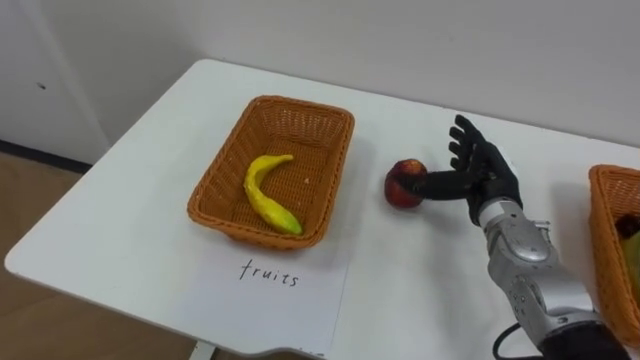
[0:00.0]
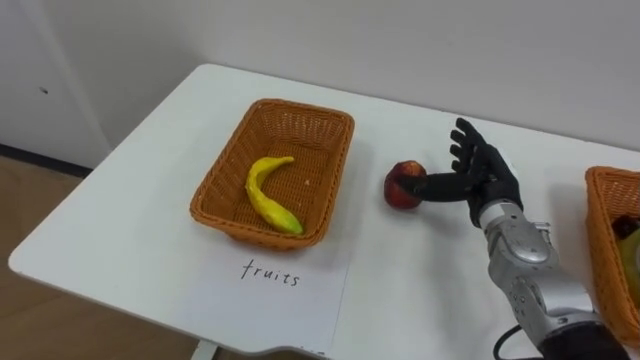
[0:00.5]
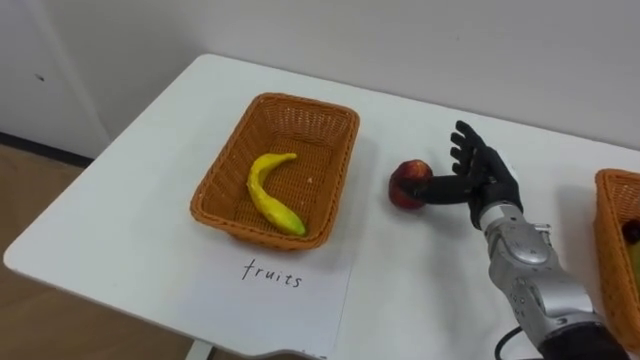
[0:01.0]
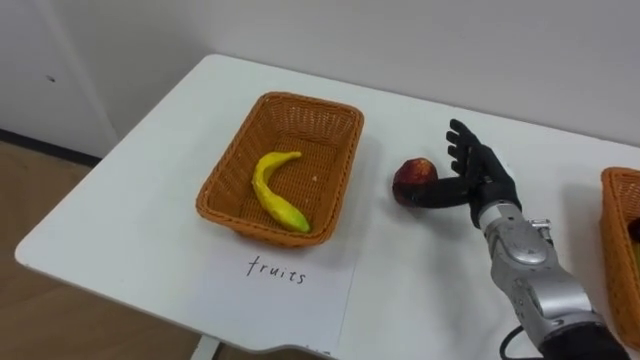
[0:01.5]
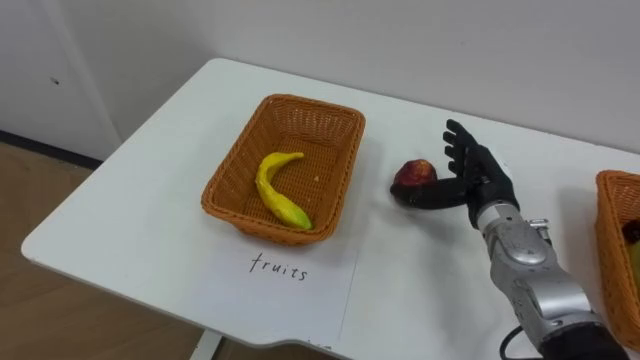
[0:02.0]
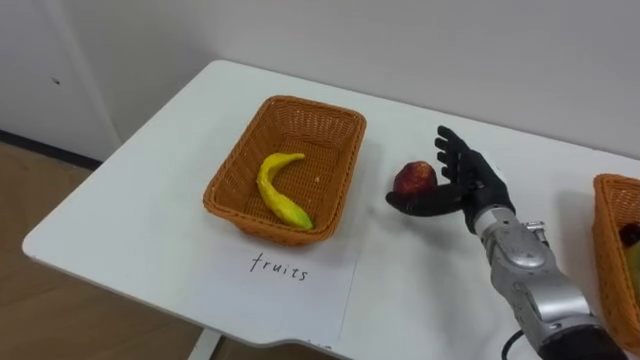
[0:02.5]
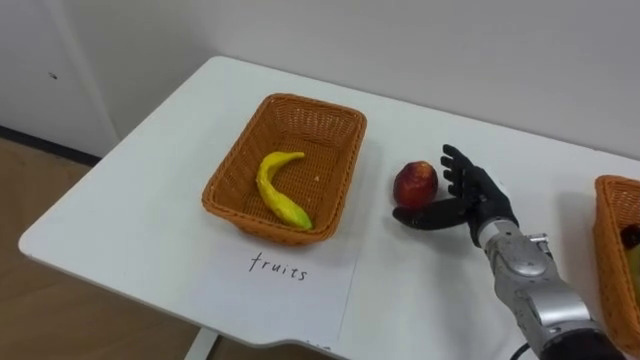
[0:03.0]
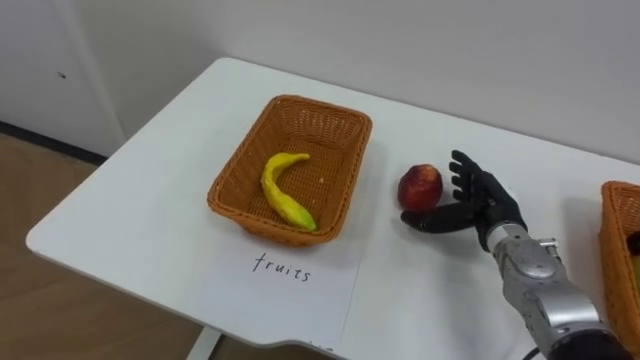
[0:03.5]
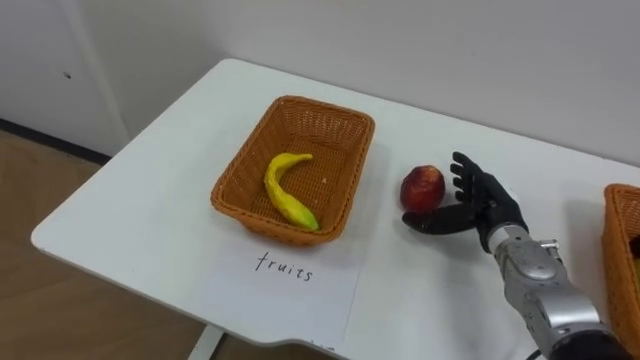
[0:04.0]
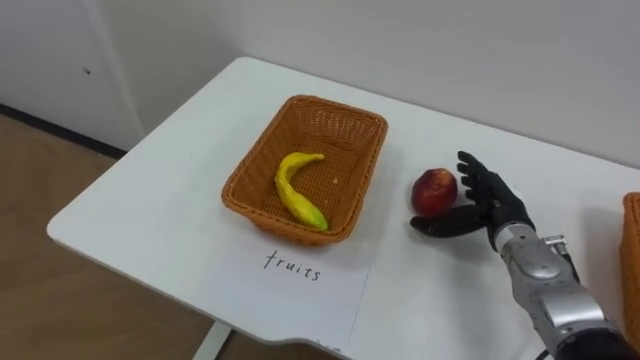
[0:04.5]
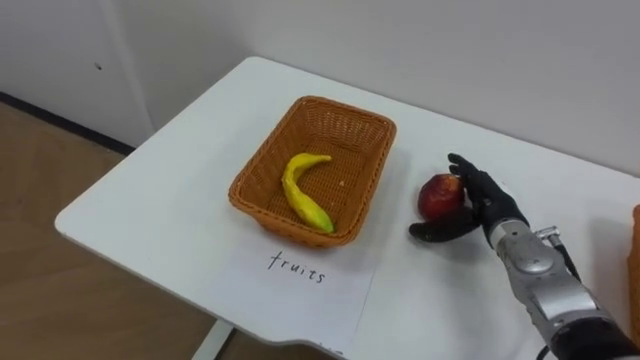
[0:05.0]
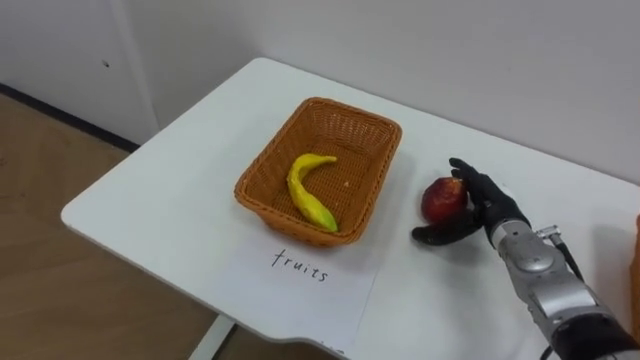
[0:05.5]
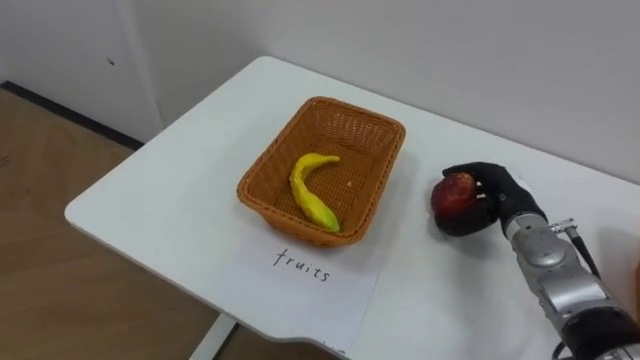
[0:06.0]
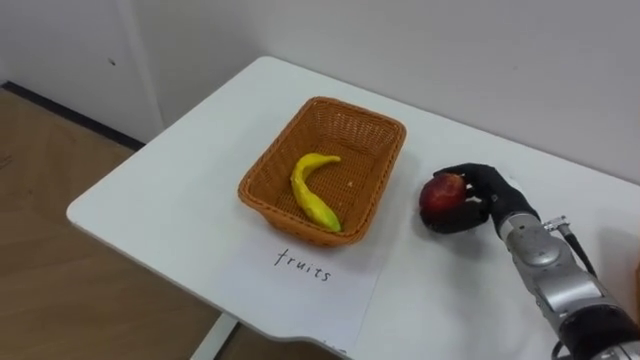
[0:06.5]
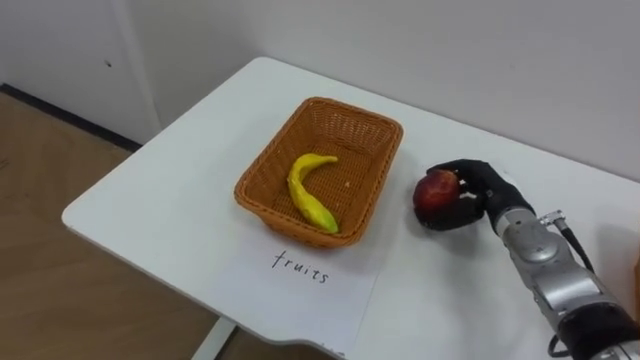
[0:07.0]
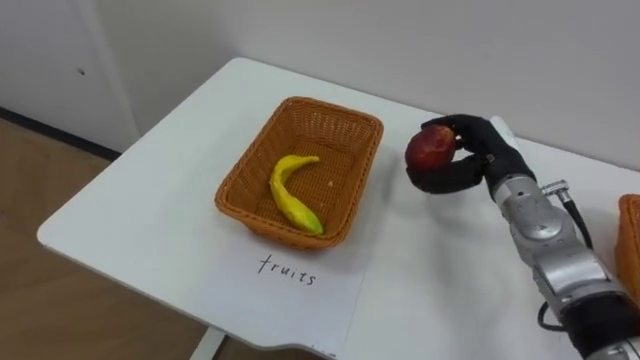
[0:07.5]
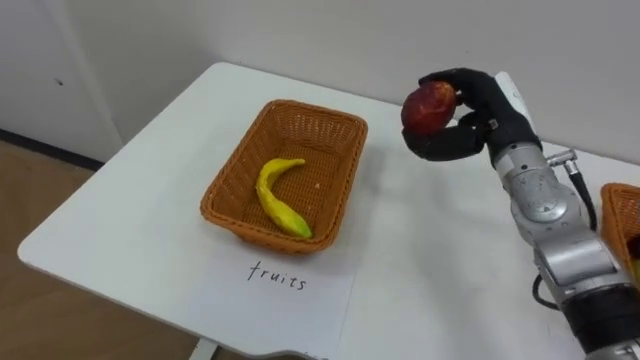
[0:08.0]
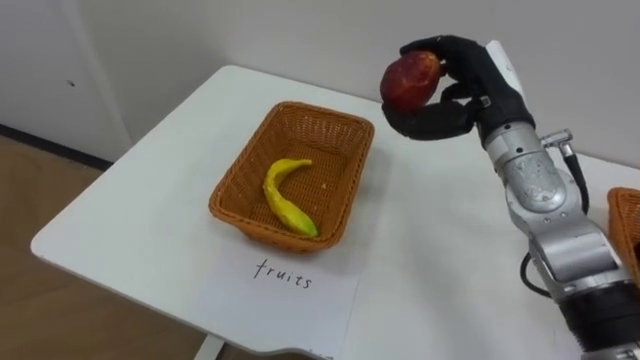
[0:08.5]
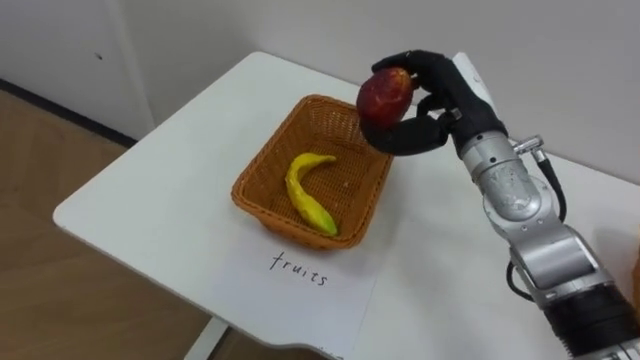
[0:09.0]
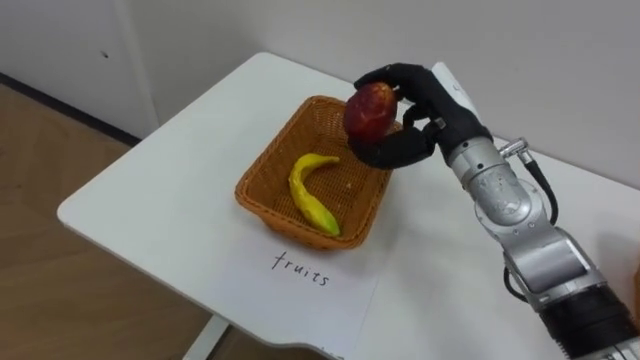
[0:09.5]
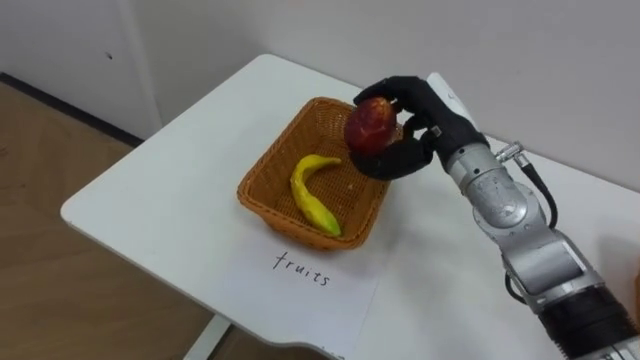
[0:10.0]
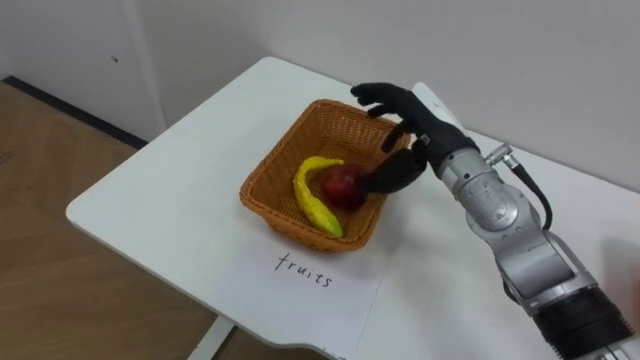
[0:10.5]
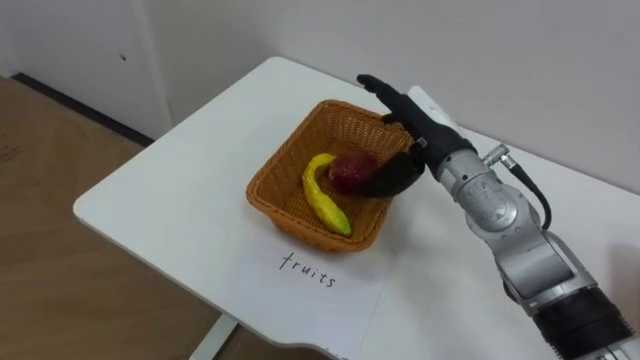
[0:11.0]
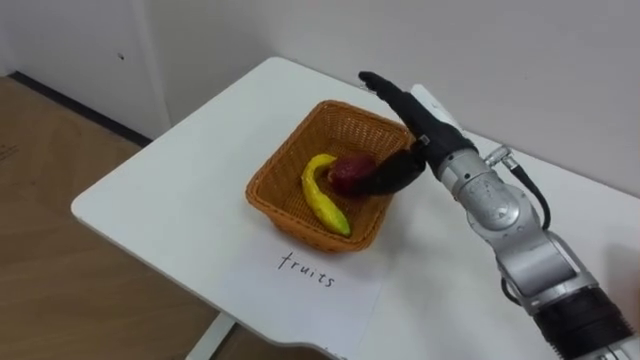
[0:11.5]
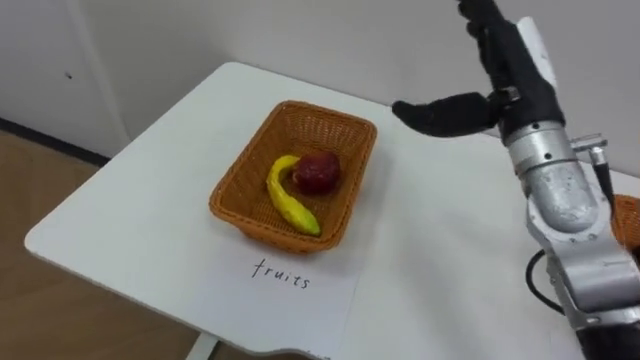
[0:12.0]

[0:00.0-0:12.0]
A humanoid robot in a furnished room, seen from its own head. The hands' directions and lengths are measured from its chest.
Task of the whole recording: Separate the items on the table and place them into the two baskets.
4.0 to 6.0 s: The right hand closes up.
6.0 to 8.0 s: The right hand is displaced upward by approximately 10 cm.
8.0 to 10.0 s: The right hand goes some 5 cm to the left.
10.0 to 12.0 s: The right hand is displaced upward by about 5 cm, and opens.

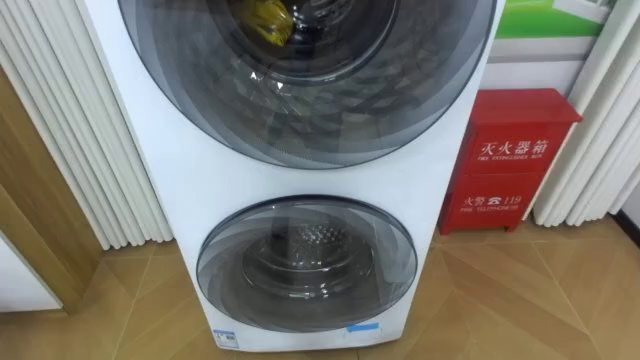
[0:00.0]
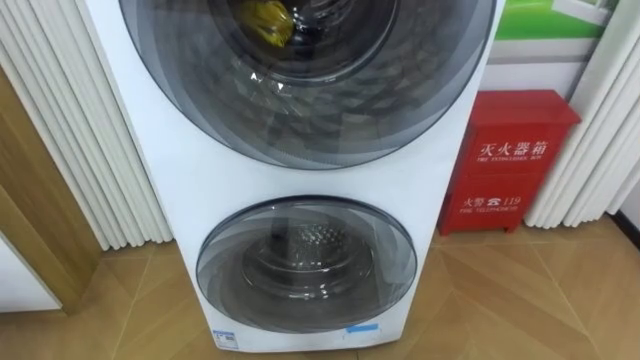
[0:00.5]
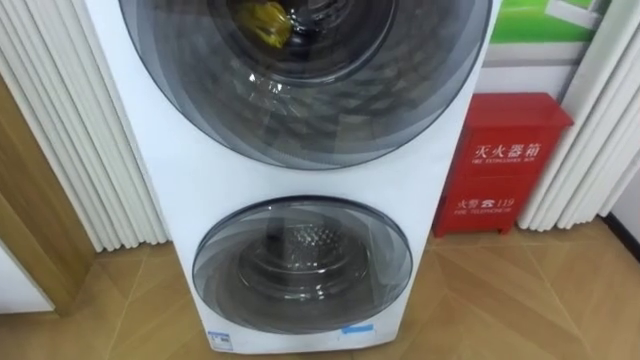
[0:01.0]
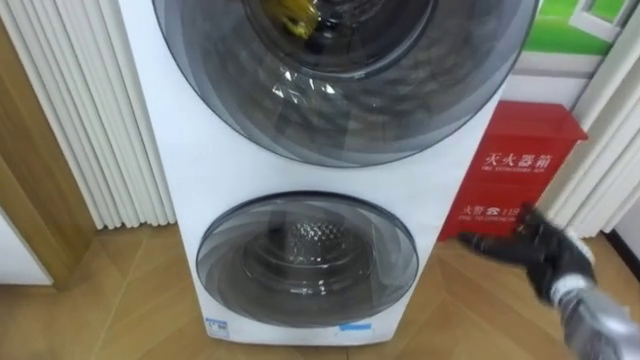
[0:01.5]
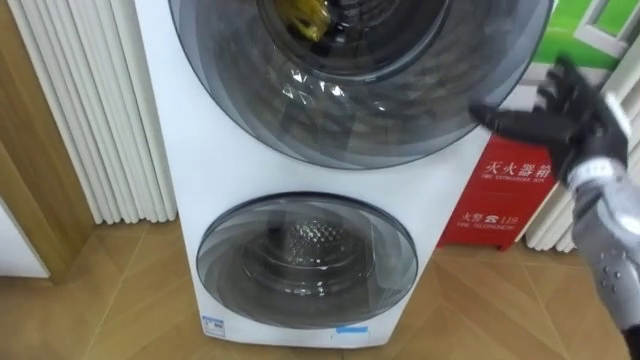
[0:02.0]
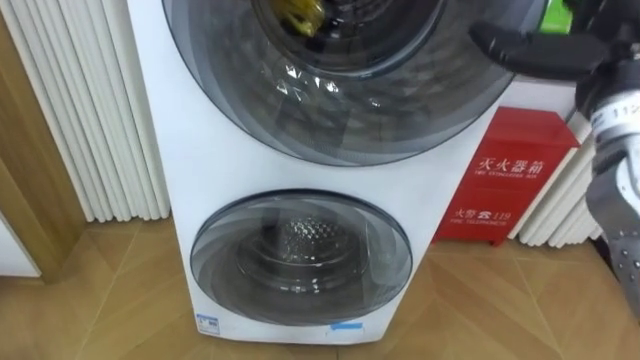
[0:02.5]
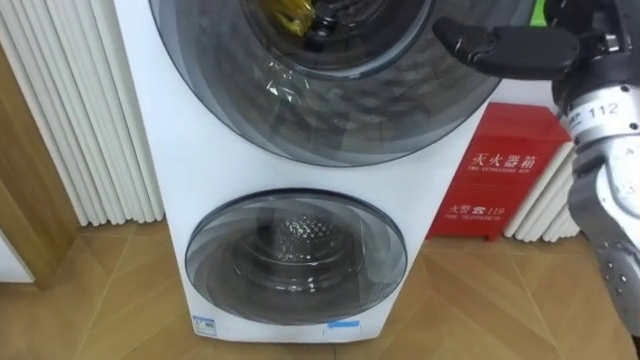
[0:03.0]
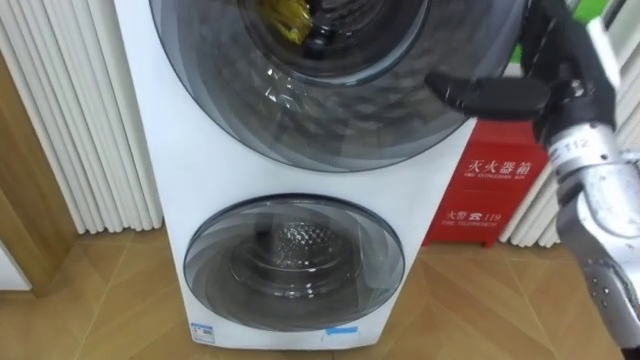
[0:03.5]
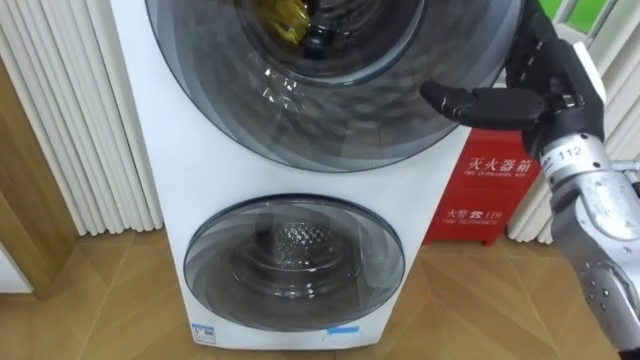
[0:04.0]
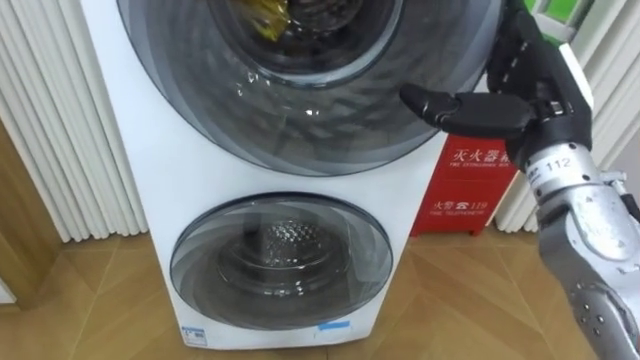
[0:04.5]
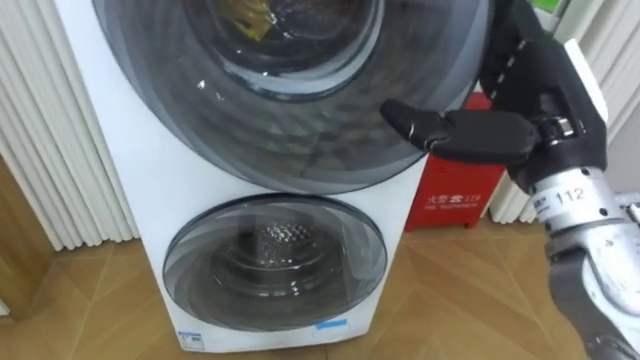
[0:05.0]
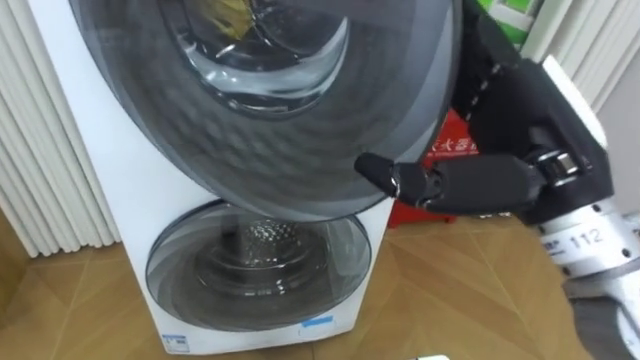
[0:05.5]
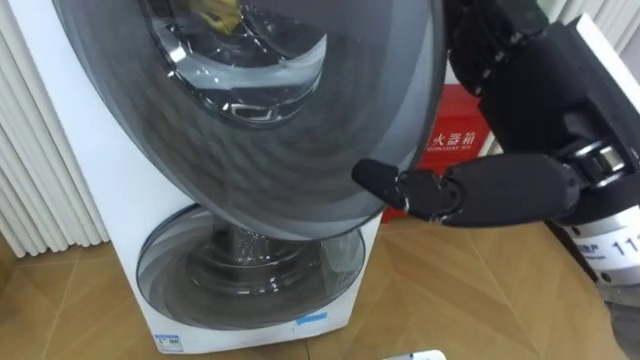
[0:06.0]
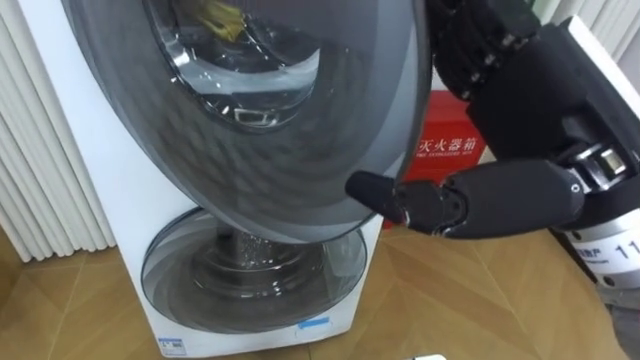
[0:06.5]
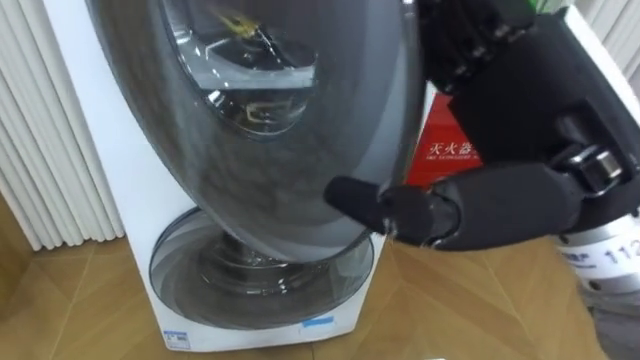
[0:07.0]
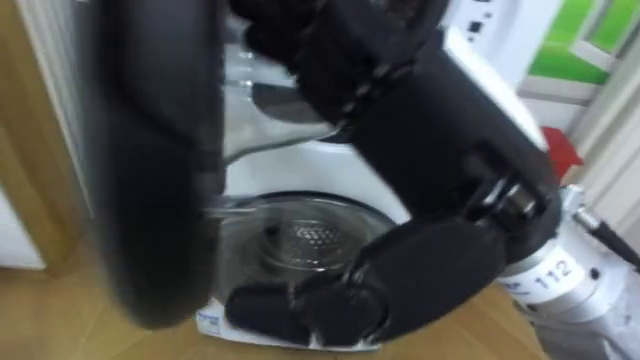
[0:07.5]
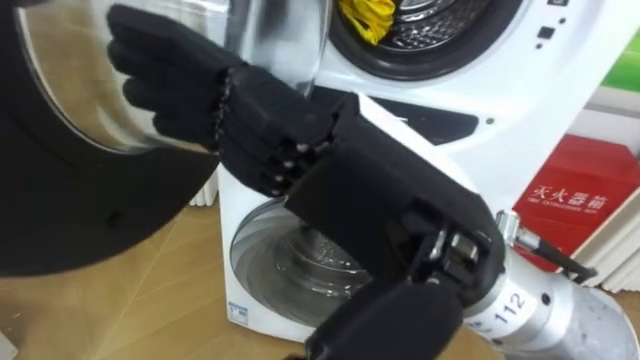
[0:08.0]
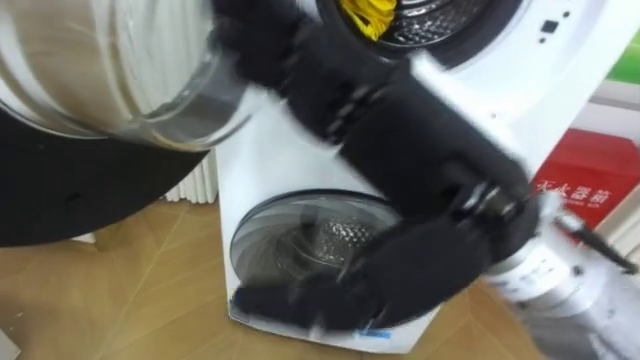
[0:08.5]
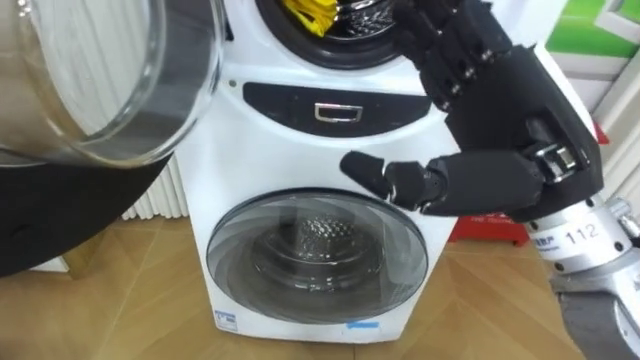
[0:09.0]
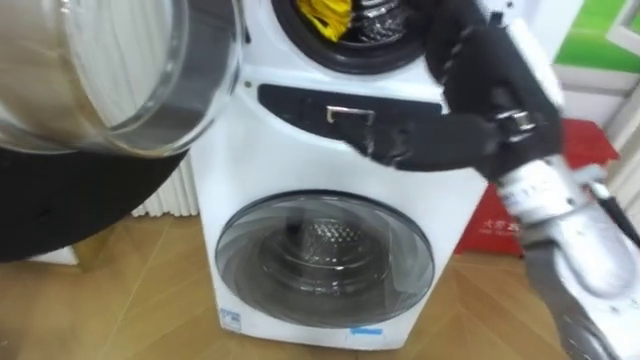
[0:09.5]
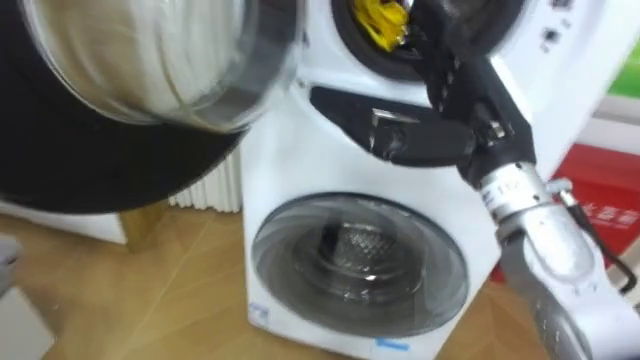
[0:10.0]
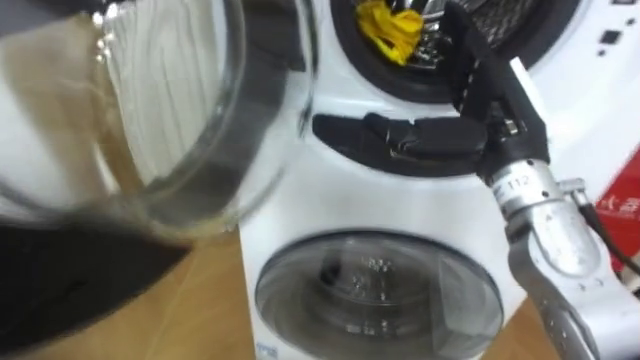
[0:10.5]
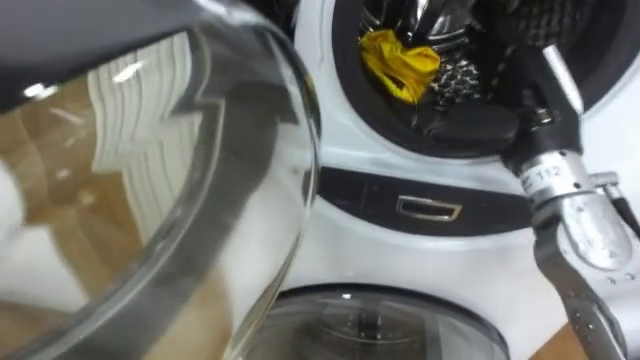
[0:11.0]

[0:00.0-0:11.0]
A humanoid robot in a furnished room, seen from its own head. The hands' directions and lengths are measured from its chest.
Task of the whole recording: Open the washing machine door, take out the yellow clothes, place them in the box on the right, and close the washing machine door.
2.0 to 3.5 s: The right hand moves upward and to the left, approximately 10 cm.
3.5 to 5.5 s: The right hand heads backward and to the left, covering roughly 10 cm.
5.5 to 7.5 s: The right hand moves to the left and backward, about 10 cm.
7.5 to 9.0 s: The right hand shifts approximately 10 cm to the right and forward.
9.0 to 11.0 s: The right hand moves forward, roughly 10 cm.
